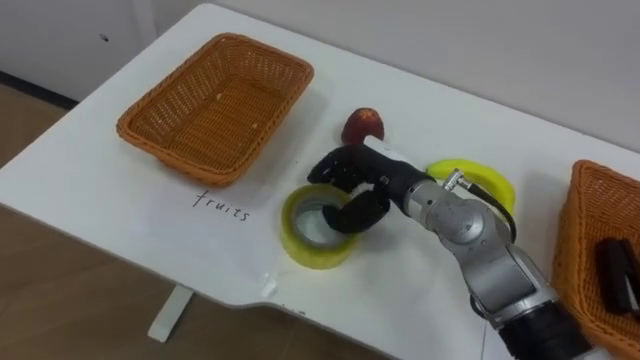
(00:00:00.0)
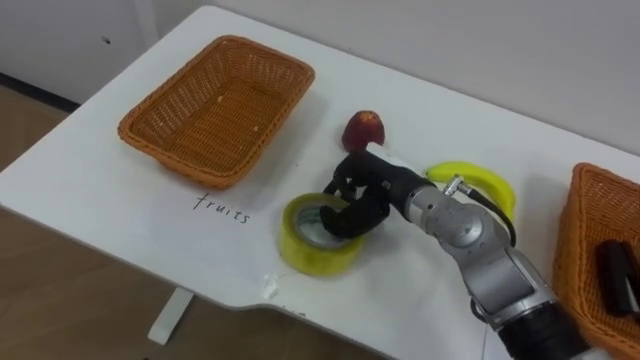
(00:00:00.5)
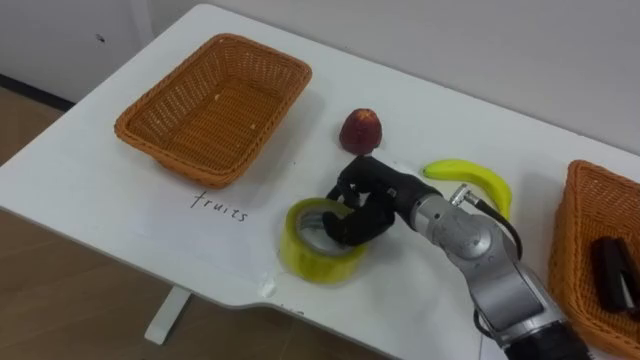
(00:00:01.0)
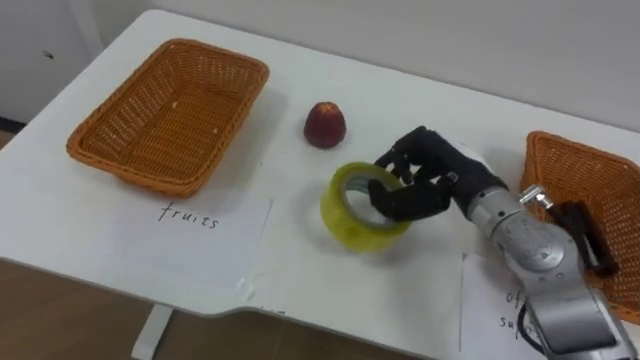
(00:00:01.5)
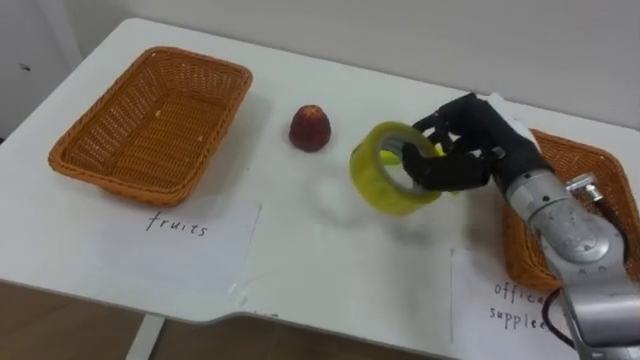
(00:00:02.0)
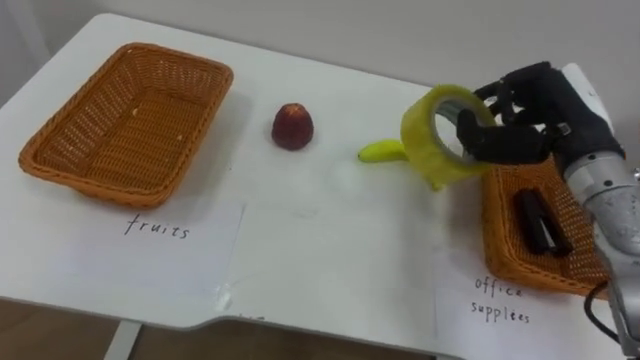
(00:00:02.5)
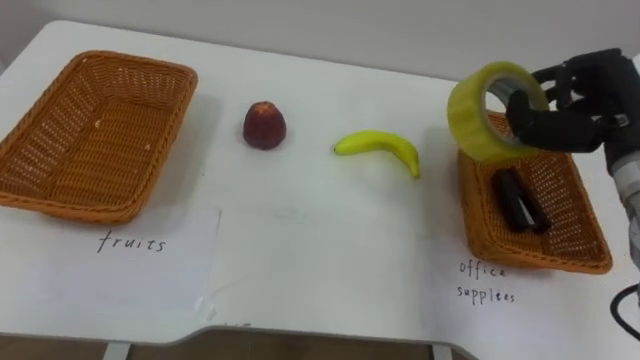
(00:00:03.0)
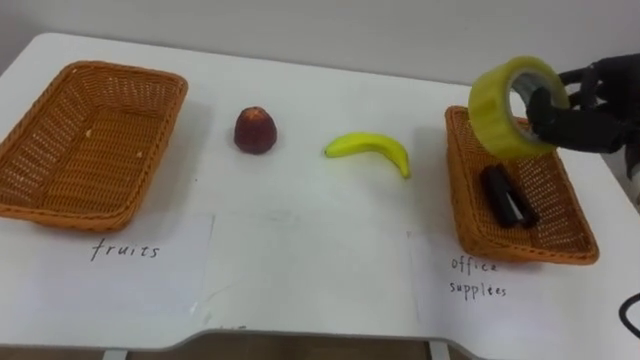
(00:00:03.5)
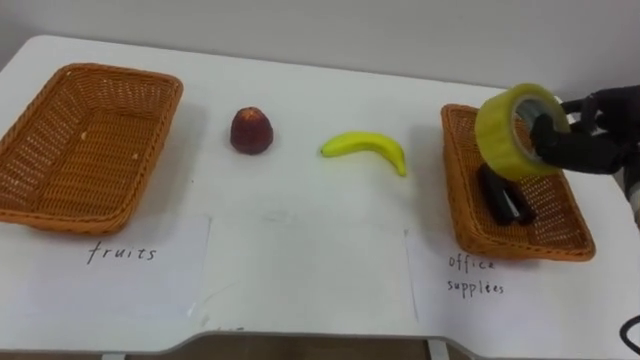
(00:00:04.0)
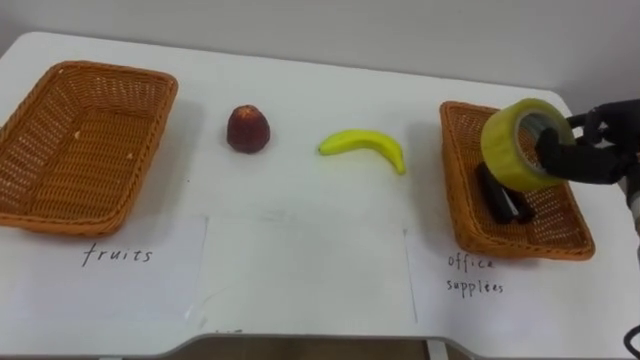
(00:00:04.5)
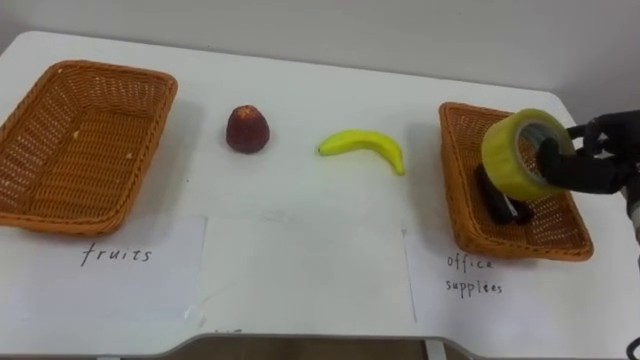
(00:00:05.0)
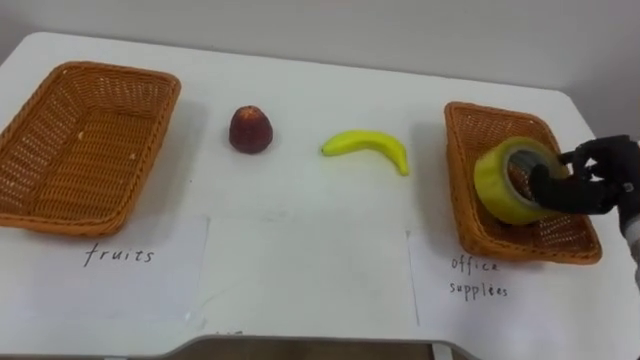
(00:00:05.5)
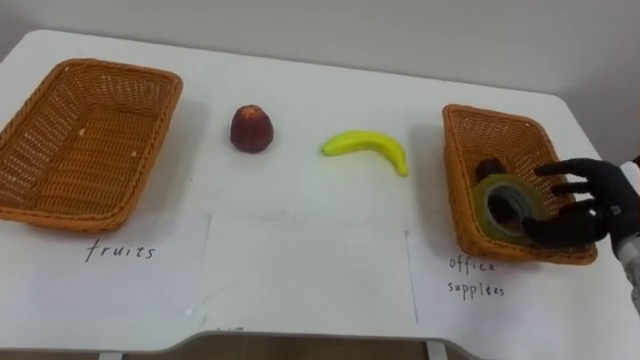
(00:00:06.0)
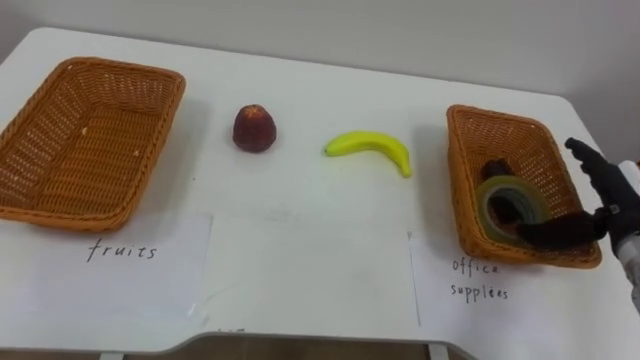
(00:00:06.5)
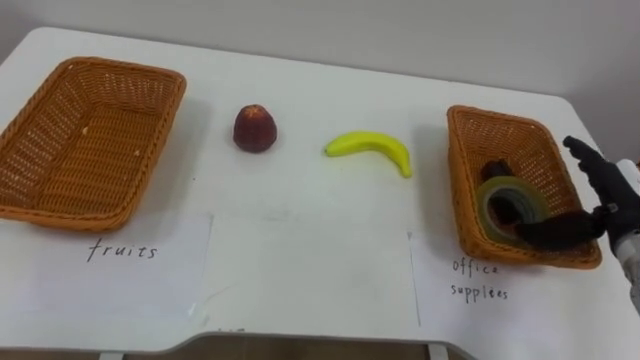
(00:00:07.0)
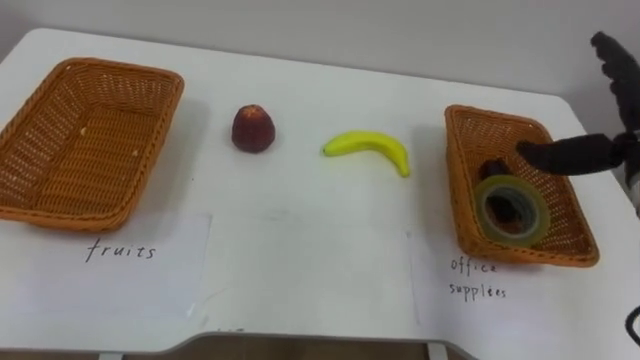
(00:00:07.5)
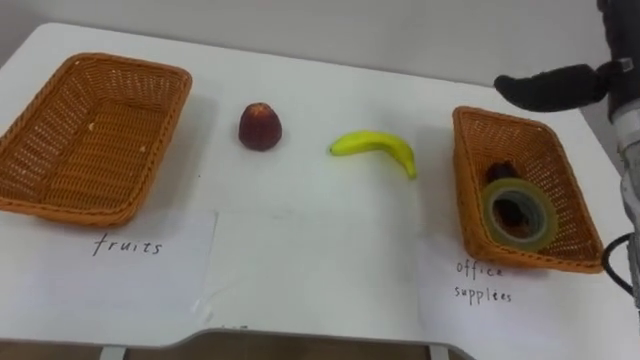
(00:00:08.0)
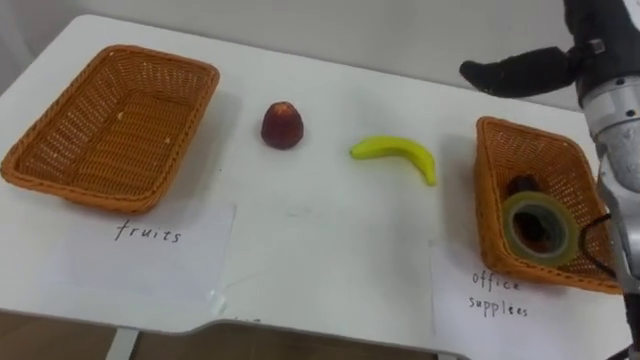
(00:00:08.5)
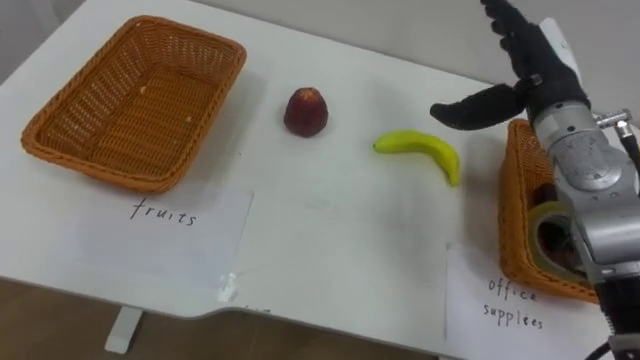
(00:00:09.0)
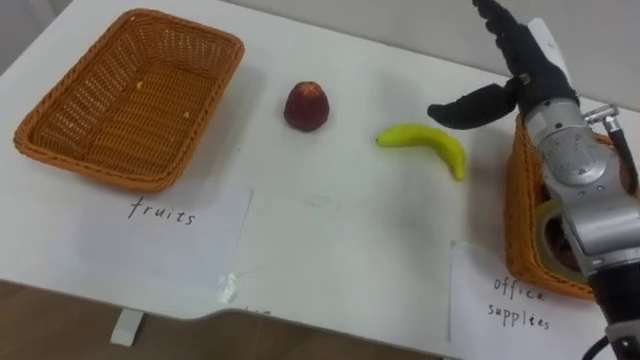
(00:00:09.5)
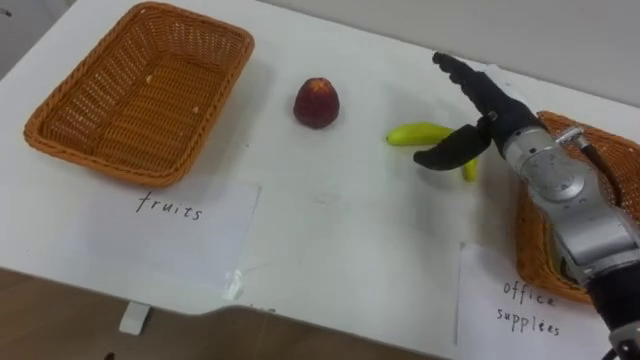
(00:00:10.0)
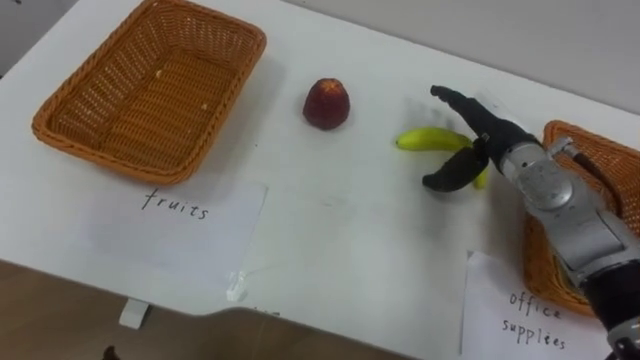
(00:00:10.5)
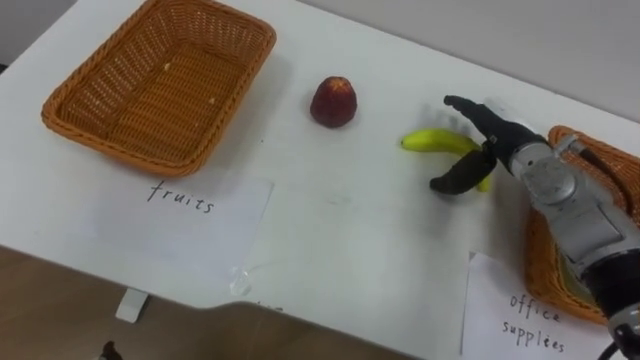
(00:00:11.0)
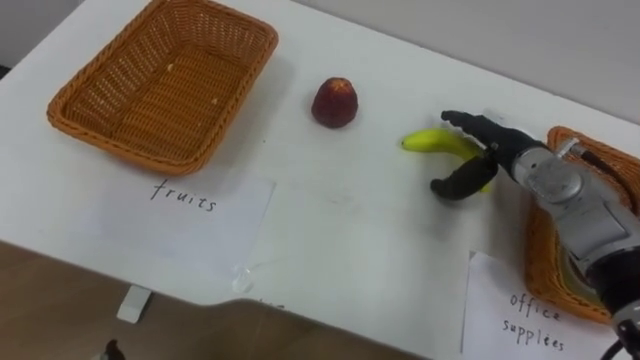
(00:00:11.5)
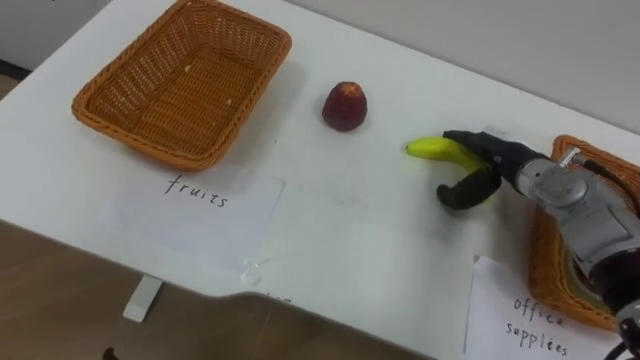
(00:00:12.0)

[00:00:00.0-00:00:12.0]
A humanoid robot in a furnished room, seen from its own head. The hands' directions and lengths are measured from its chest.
Task of the whole recording: Separate the items on the table and place them into the two baskets.
00:00:00.0 to 00:00:02.0: The right hand heads to the right and upward, covering about 15 cm, and closes.
00:00:02.0 to 00:00:04.0: The right hand travels to the right by about 15 cm.
00:00:04.0 to 00:00:06.0: The right hand shifts roughly 10 cm downward, and opens up.
00:00:06.0 to 00:00:08.0: The right hand heads upward, covering approximately 15 cm, and opens.
00:00:08.0 to 00:00:10.0: The right hand shifts some 15 cm downward and to the left.
00:00:10.0 to 00:00:12.0: The right hand goes approximately 10 cm downward.

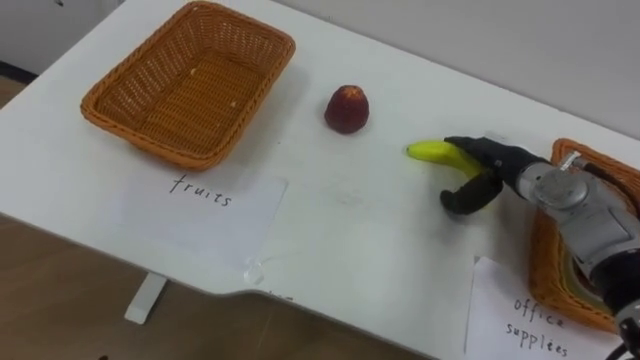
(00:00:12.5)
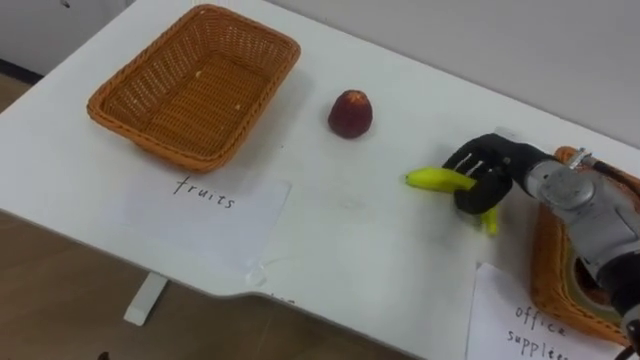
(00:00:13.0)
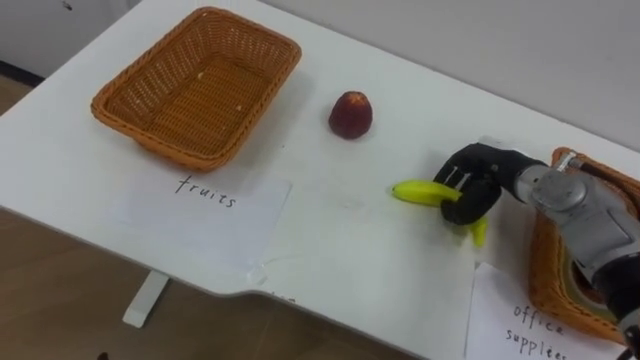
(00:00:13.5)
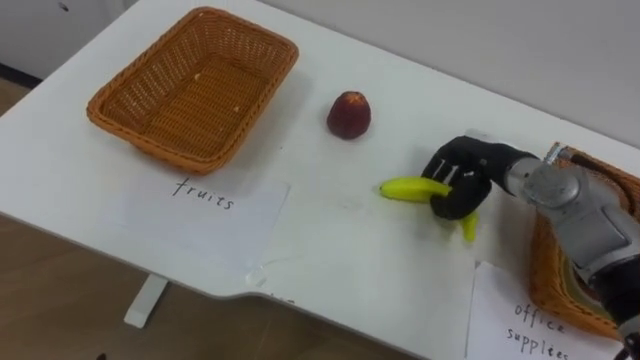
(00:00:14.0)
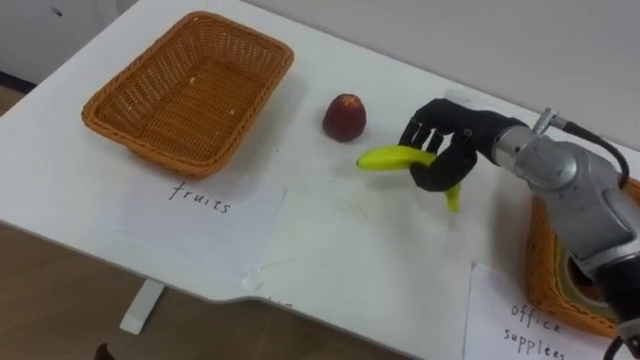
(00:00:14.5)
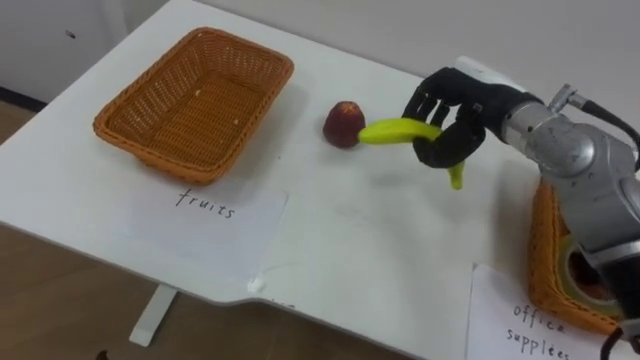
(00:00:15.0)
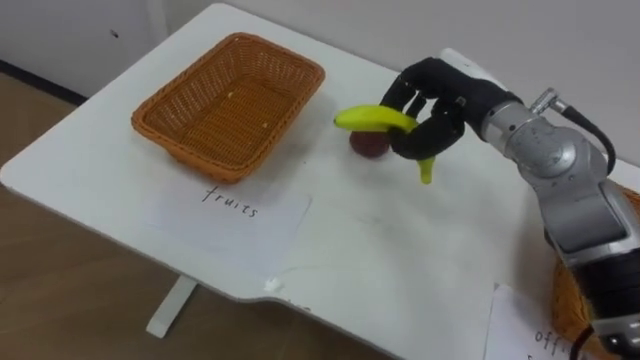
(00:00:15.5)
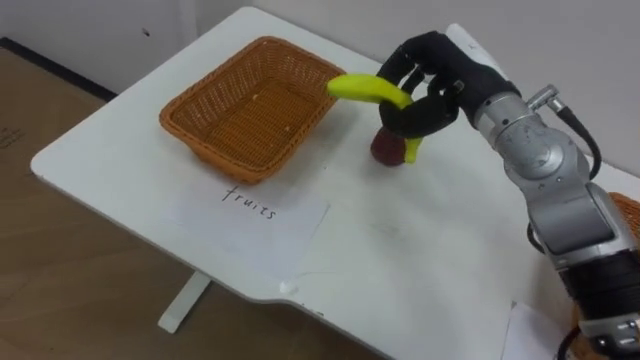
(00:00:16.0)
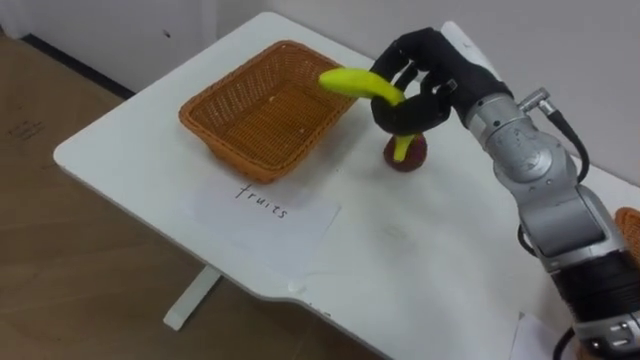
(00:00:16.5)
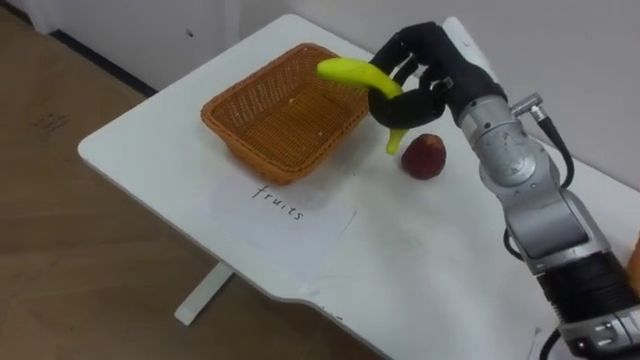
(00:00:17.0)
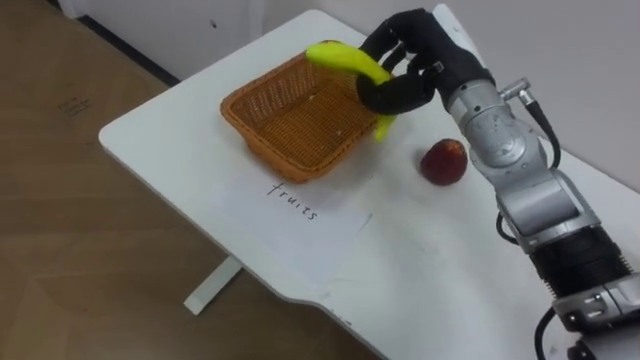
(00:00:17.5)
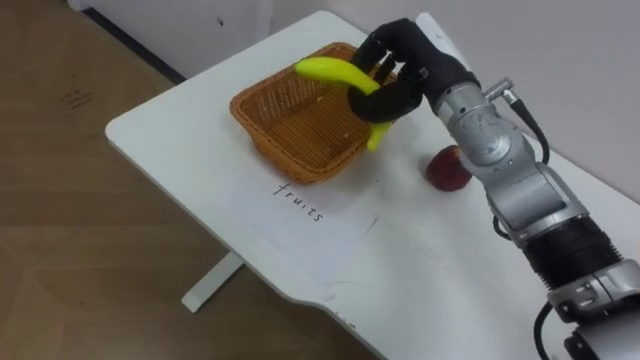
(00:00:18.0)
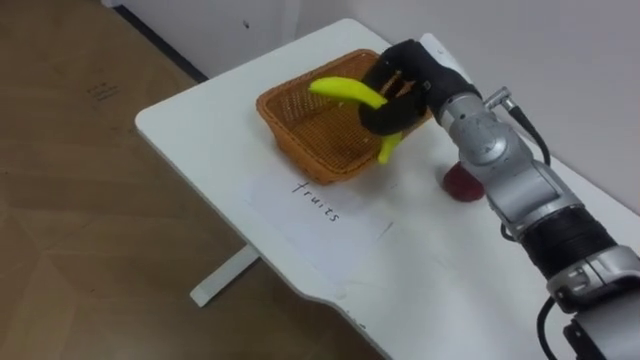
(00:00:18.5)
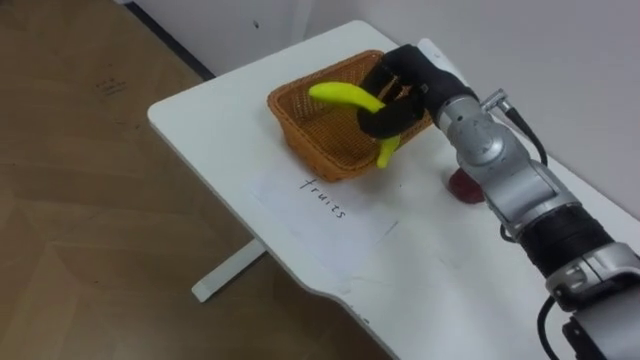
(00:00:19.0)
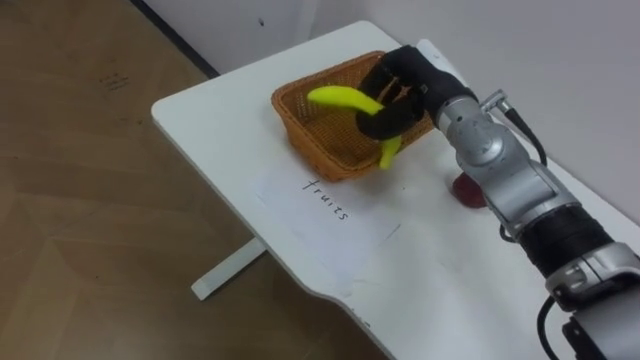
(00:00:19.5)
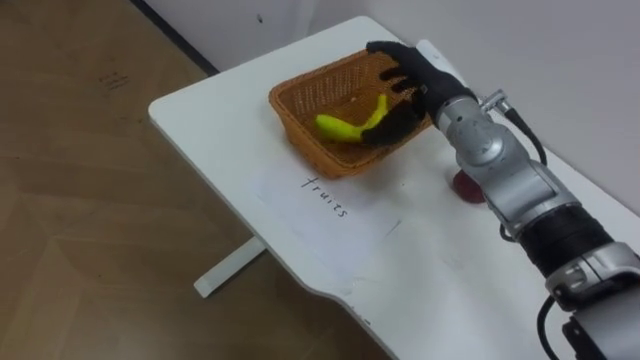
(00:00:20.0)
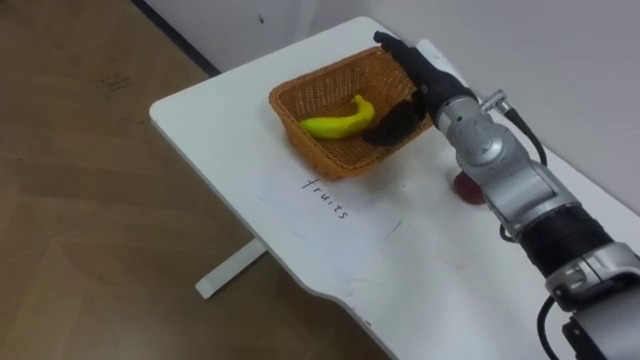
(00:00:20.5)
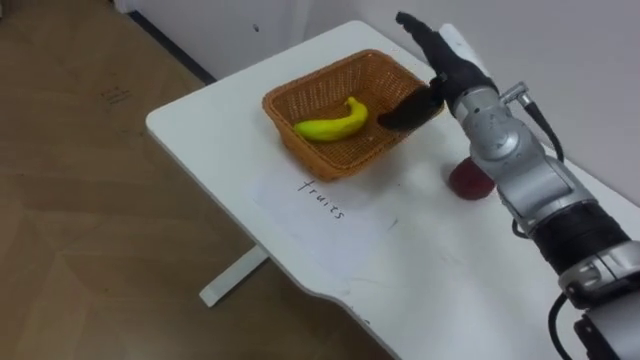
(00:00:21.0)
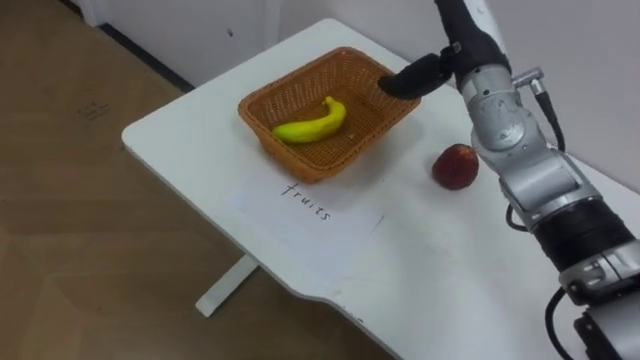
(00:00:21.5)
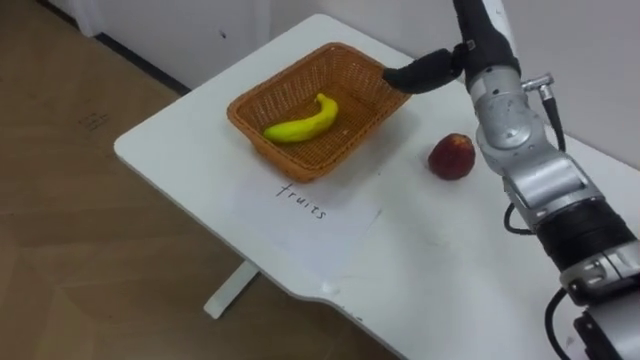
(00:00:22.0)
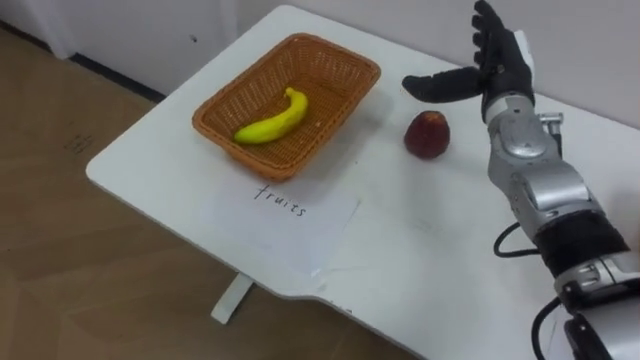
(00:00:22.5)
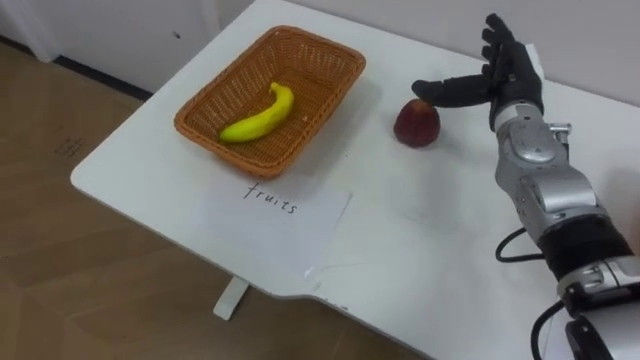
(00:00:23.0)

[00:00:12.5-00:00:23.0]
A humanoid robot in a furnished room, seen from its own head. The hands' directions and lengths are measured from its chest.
Task of the whole recording: Separate the items on the table and place them into the two baskets.
00:00:12.5 to 00:00:14.5: The right hand heads upward and to the left, covering about 10 cm, and closes.
00:00:14.5 to 00:00:16.5: The right hand moves upward, about 5 cm.
00:00:16.5 to 00:00:19.0: The right hand ends up some 5 cm from where it was.
00:00:19.0 to 00:00:21.0: The right hand opens up.
00:00:21.0 to 00:00:23.0: The right hand shifts roughly 5 cm to the right.
